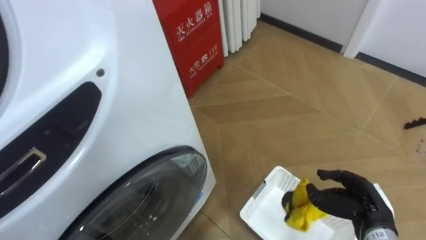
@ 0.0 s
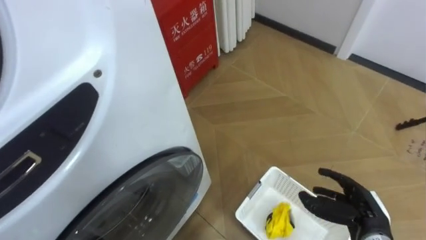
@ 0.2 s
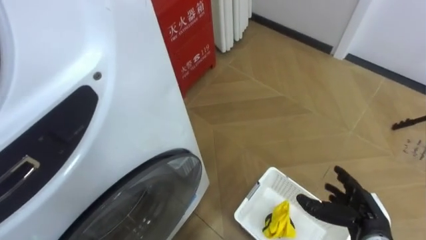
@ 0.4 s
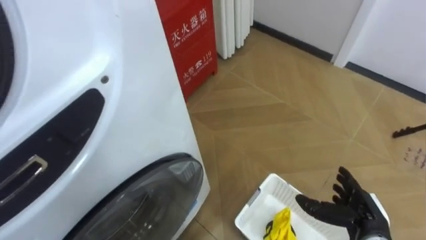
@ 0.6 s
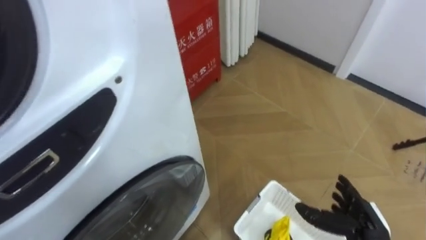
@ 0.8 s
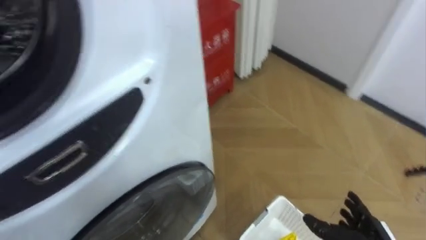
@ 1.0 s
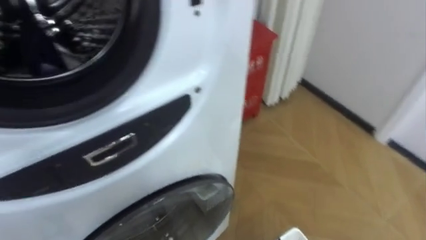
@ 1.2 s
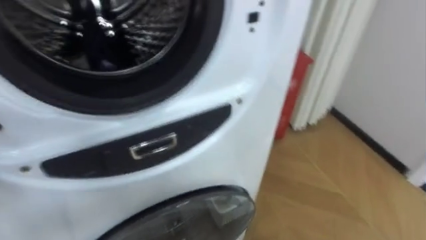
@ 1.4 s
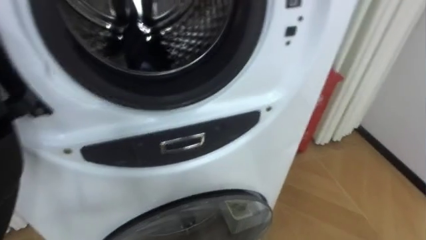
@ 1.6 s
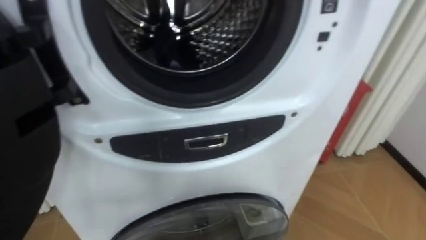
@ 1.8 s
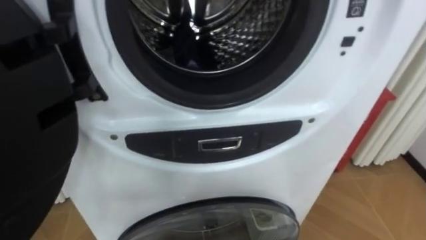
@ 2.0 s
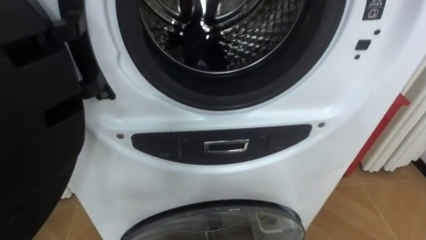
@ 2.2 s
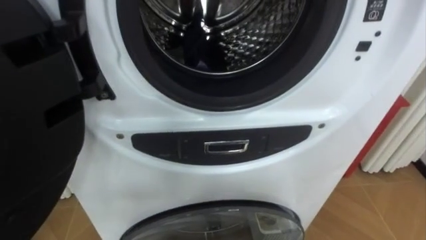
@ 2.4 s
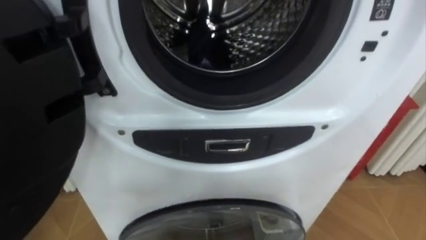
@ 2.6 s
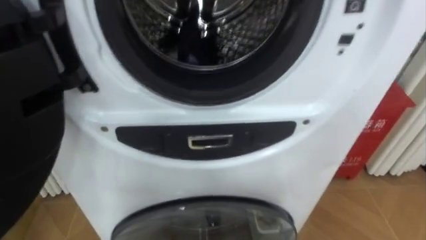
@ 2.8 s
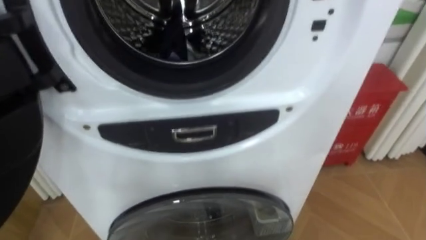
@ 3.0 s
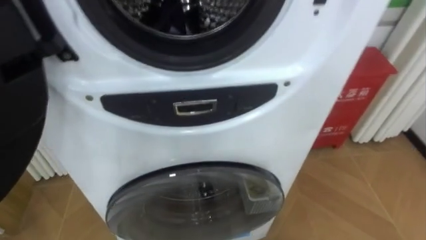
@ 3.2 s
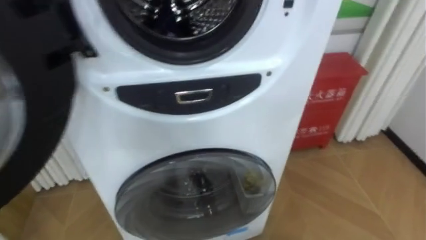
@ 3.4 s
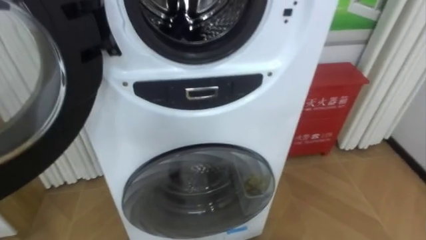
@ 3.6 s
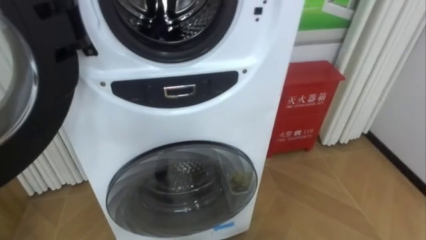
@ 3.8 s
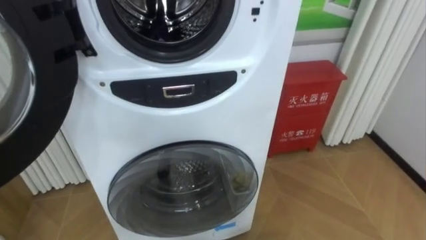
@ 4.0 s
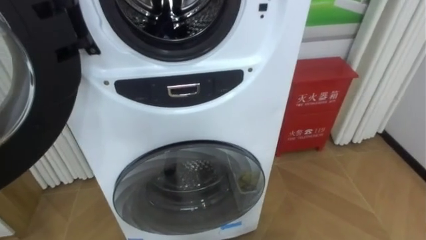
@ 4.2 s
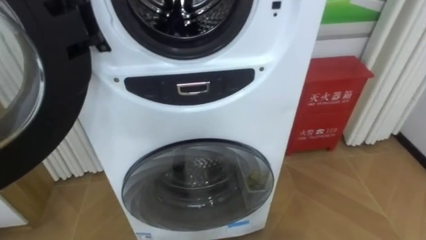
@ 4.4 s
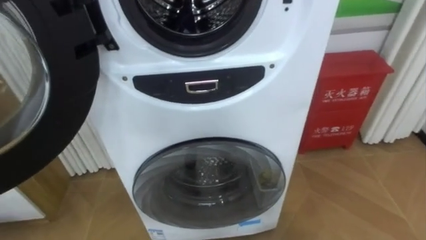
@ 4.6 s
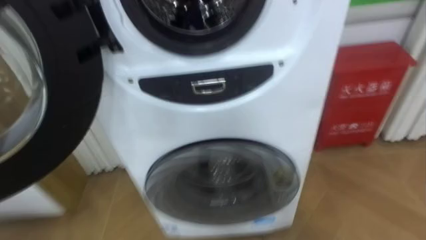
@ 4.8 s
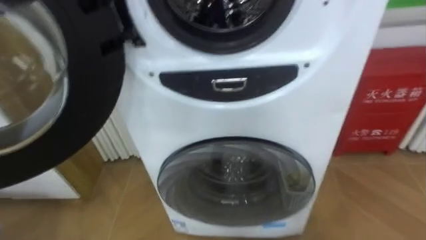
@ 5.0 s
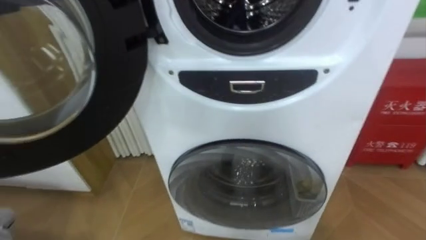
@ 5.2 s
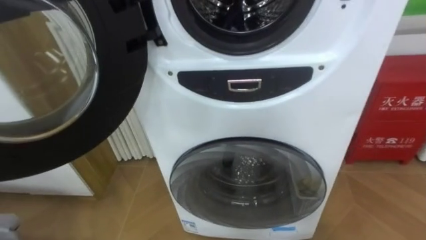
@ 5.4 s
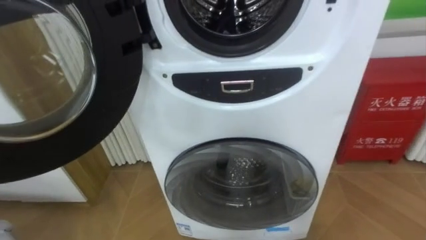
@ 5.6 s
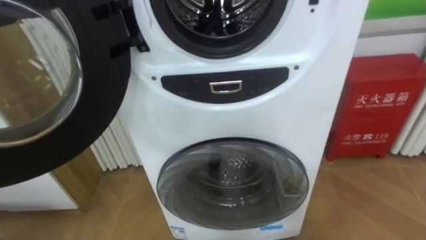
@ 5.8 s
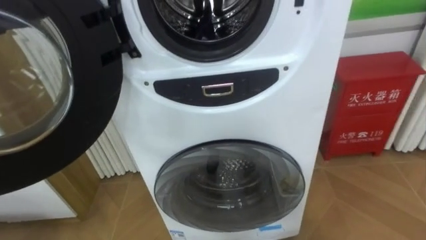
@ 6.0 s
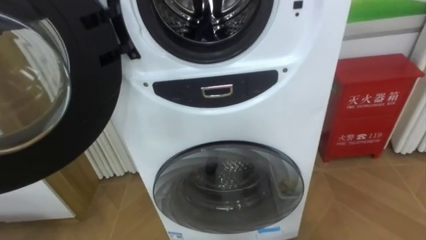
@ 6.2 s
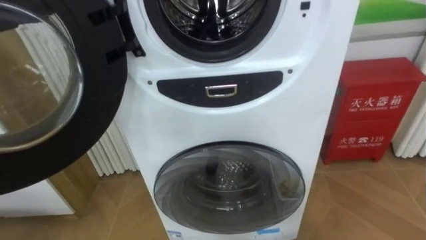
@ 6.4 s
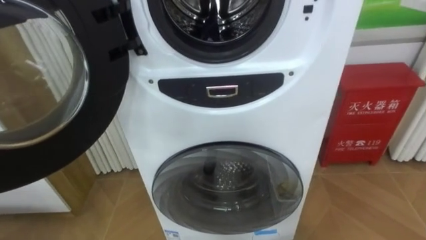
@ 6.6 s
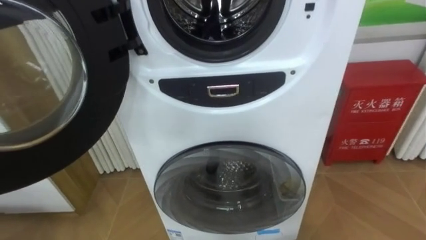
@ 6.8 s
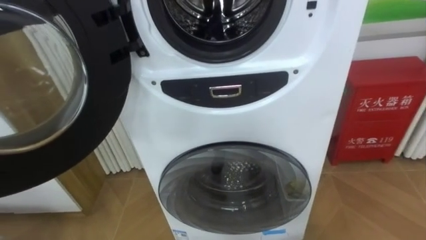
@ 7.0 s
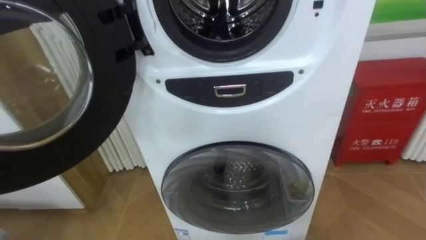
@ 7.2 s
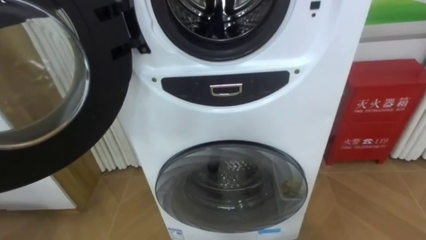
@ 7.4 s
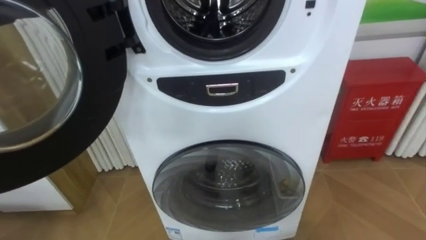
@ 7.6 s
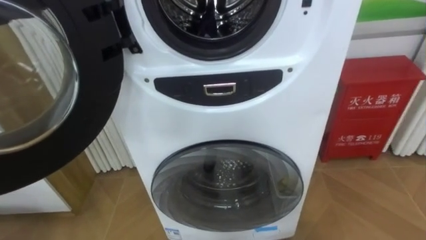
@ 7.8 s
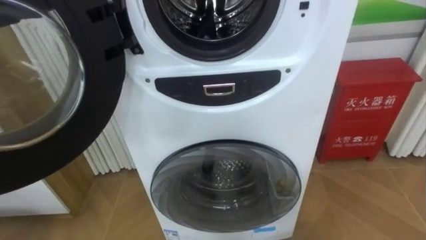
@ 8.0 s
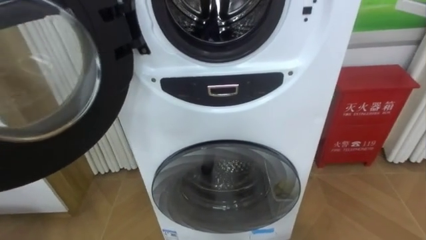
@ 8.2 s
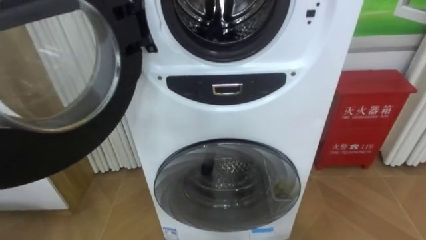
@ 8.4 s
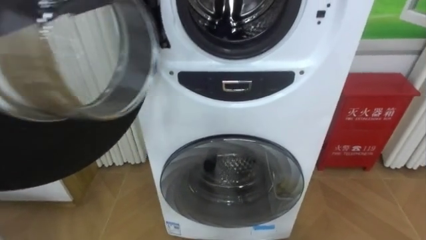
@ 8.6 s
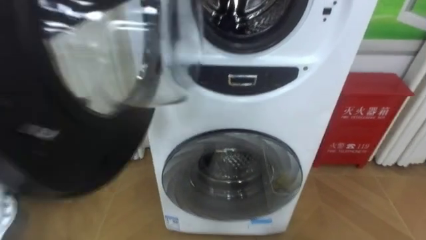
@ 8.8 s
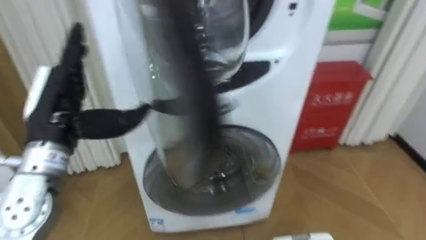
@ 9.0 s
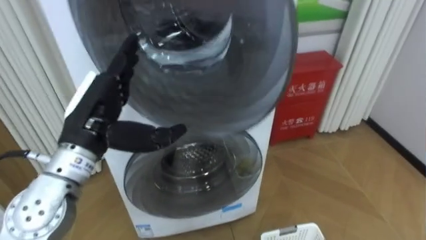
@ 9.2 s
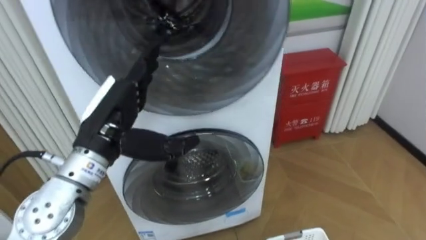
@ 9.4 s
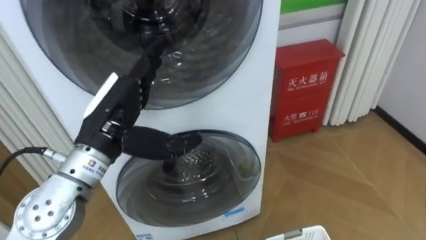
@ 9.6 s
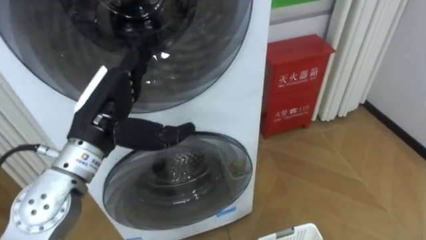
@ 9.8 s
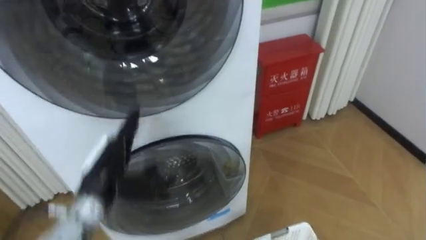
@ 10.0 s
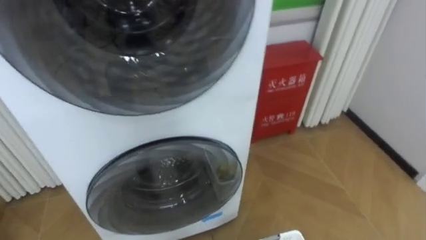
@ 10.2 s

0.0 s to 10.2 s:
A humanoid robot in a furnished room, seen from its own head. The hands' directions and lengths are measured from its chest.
Task of the whole recording: Open the washing machine door, take out the yellow clothes, place them in the box on the right, and close the washing machine door.
1.4 to 3.0 s: The robot turns to its left by roughly 15 degrees.

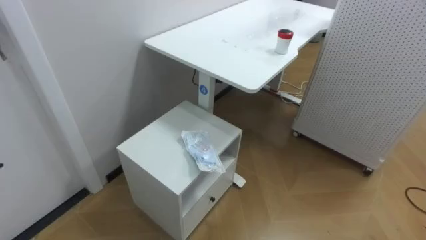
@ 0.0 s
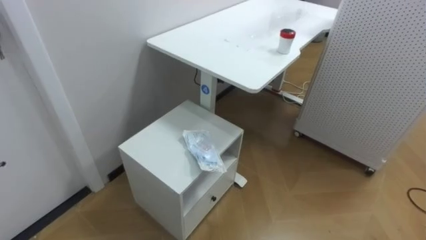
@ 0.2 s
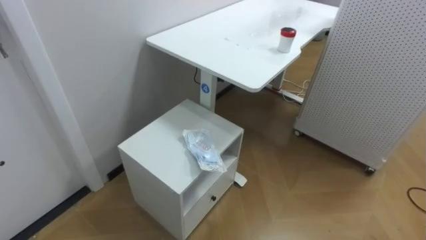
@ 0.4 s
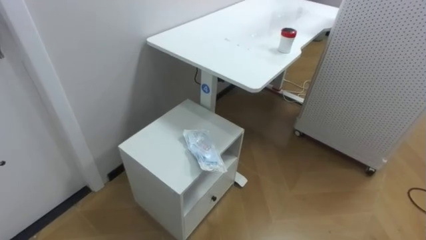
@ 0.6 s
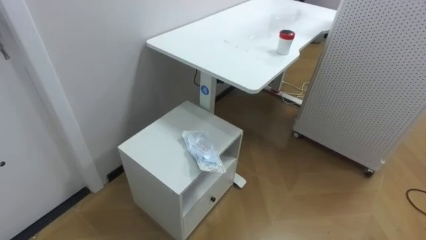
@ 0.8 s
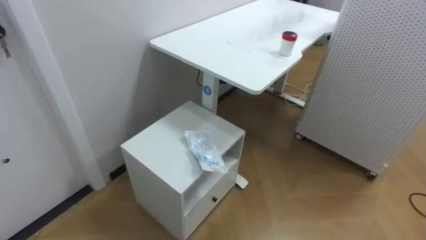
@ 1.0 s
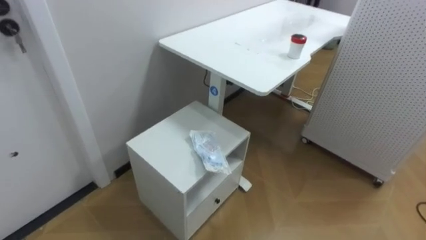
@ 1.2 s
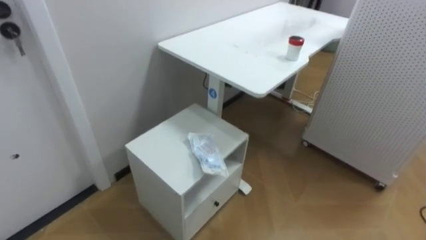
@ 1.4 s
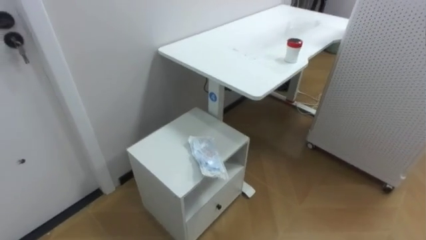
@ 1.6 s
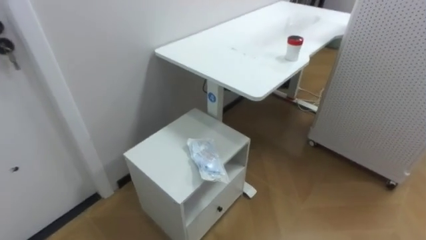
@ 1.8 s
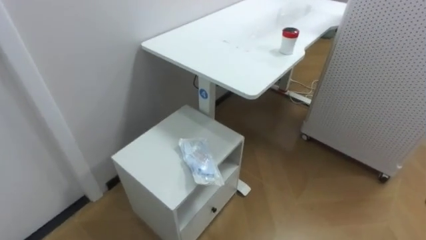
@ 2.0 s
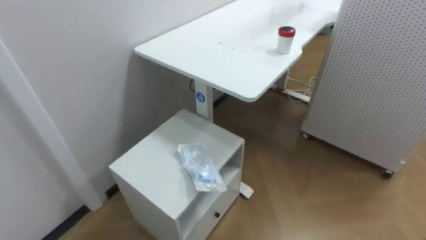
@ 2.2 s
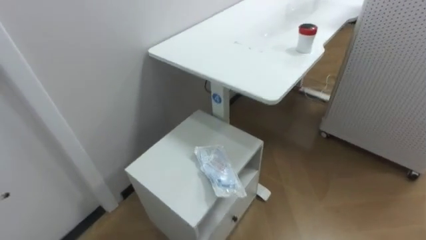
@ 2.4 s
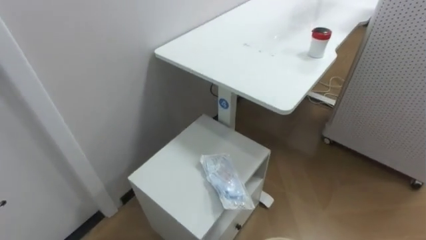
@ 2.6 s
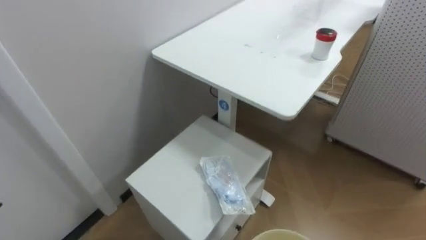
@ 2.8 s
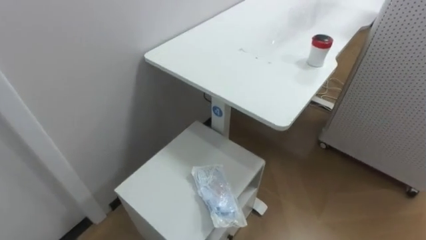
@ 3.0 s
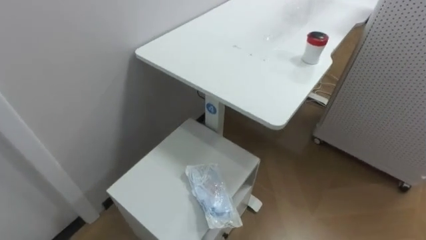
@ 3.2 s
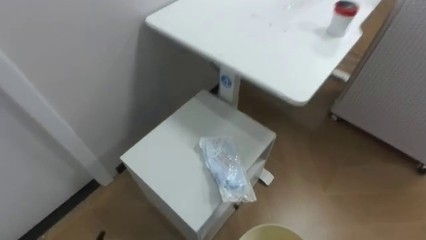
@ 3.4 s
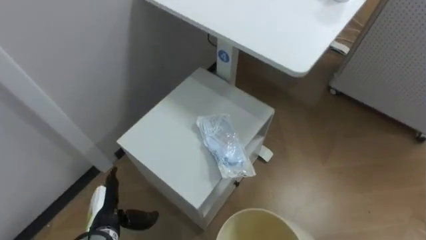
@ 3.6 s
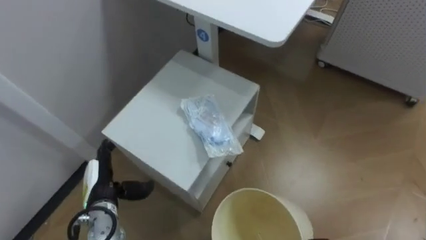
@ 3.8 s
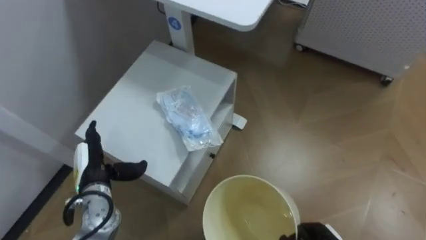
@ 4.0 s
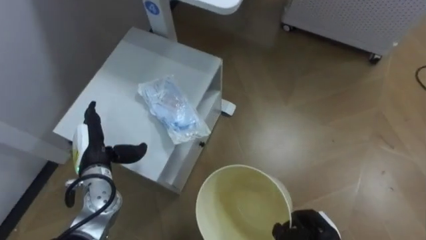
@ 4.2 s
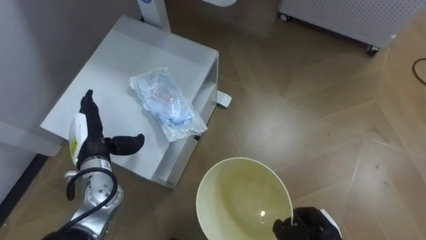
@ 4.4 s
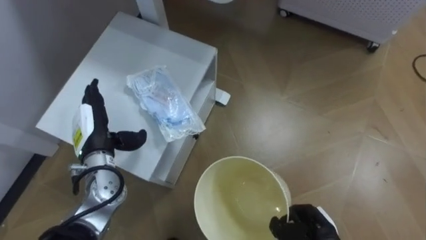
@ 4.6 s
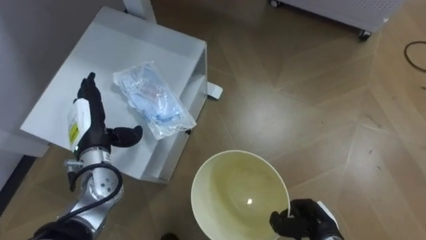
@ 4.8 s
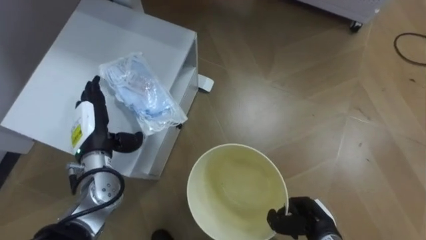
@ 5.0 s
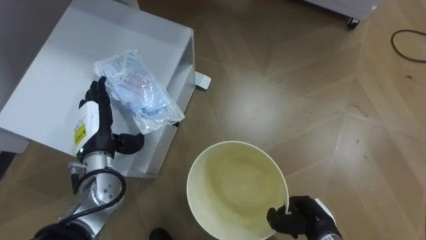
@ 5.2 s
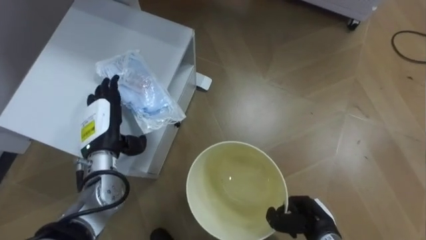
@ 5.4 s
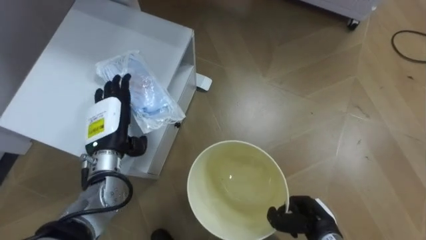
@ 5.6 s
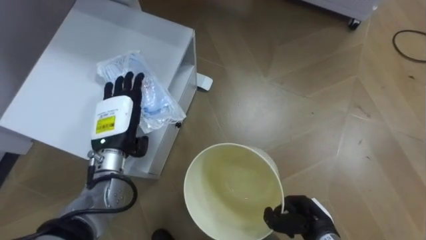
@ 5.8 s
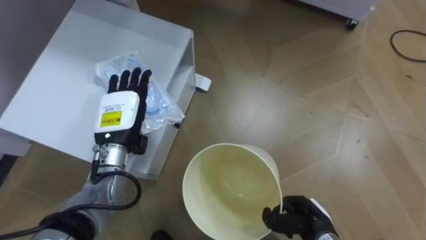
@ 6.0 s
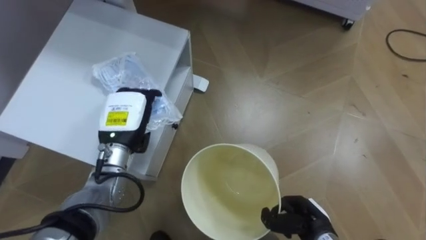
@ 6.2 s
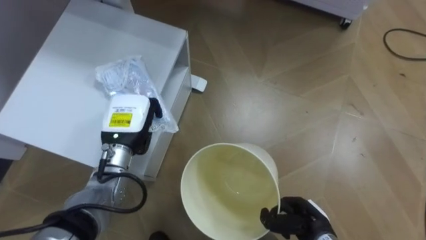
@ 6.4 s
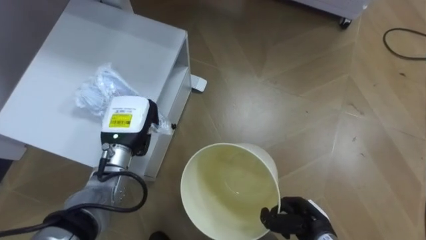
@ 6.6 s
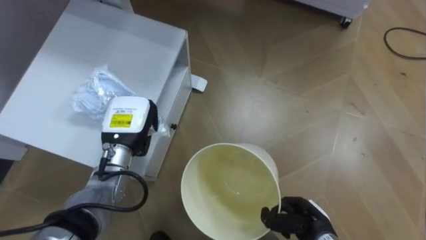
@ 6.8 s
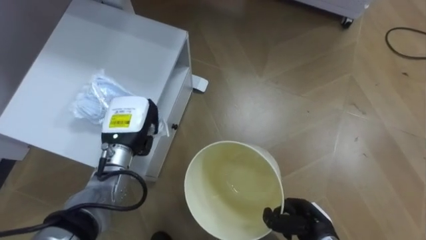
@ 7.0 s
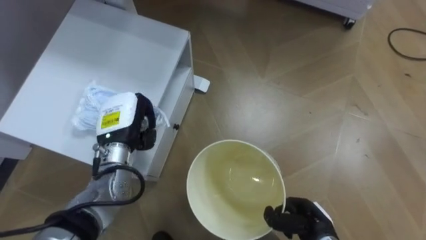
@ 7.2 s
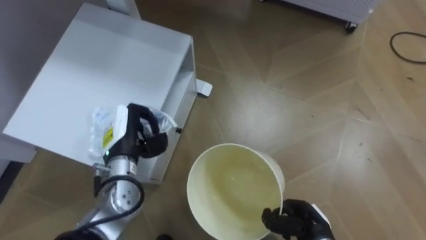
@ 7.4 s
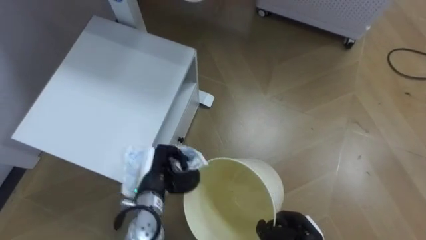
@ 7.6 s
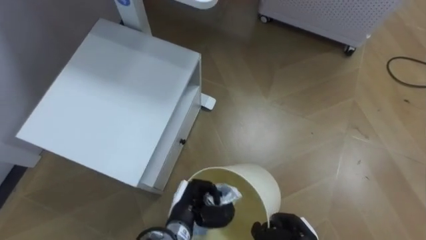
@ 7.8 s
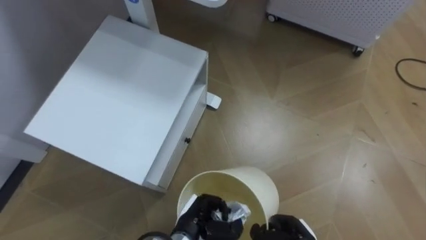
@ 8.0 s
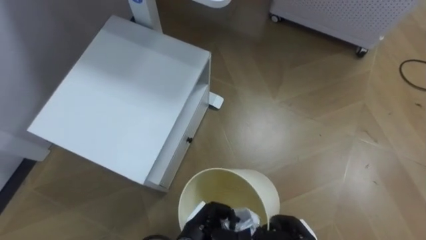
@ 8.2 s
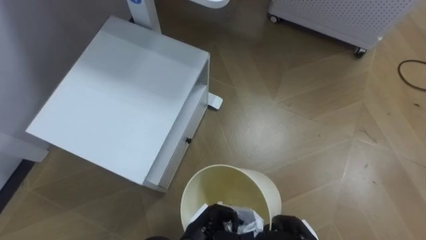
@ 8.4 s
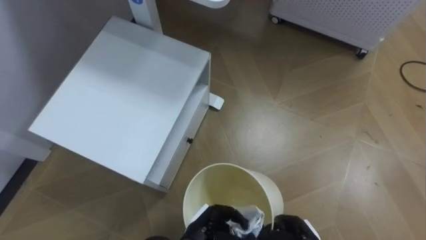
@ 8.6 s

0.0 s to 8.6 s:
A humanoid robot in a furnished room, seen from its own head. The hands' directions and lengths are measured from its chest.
Task of the whole recording: Pick up the light blue package, the candy box, and the dark blue package separately, and put them into the trash can held in your right hand.
4.4 to 5.8 s: The left hand heads to the right, covering approximately 5 cm.
5.8 to 7.2 s: The left hand closes up.
7.2 to 8.6 s: The left hand heads downward, to the right and backward, covering roughly 25 cm.
